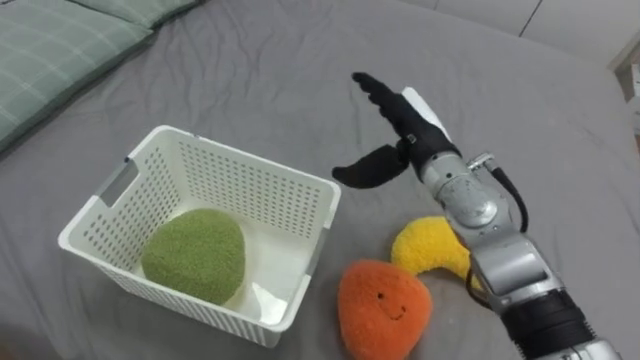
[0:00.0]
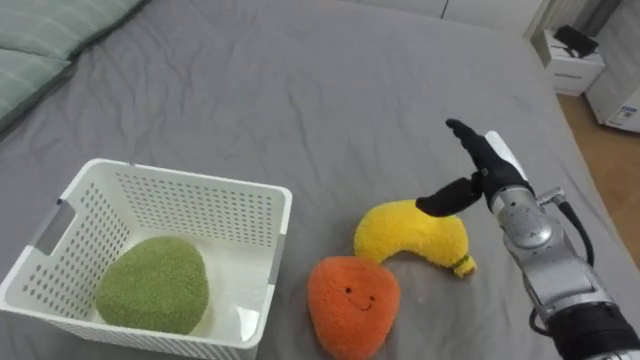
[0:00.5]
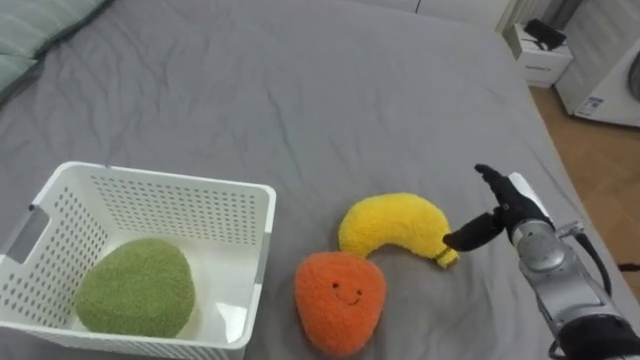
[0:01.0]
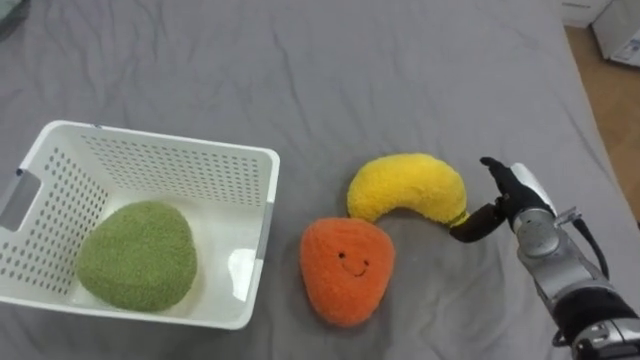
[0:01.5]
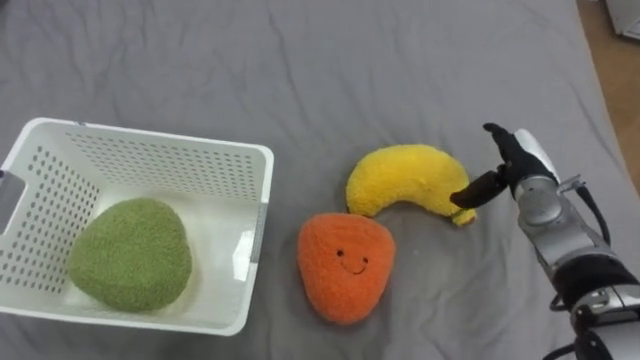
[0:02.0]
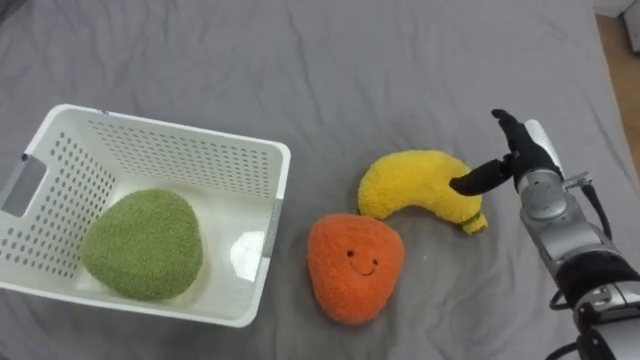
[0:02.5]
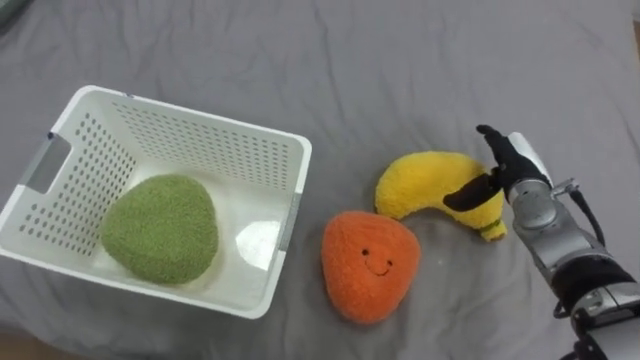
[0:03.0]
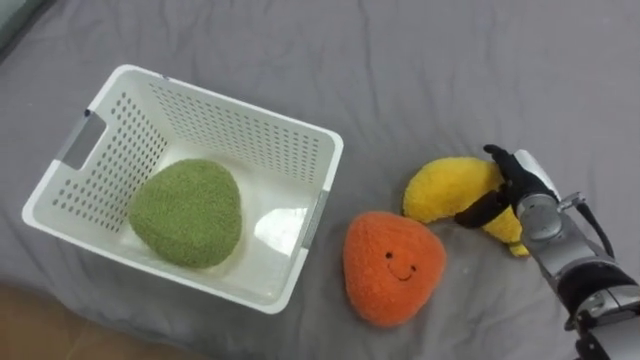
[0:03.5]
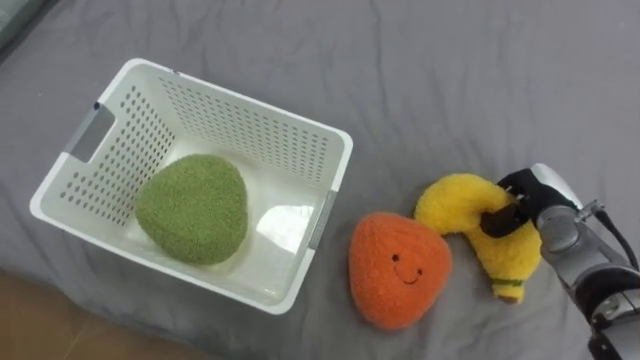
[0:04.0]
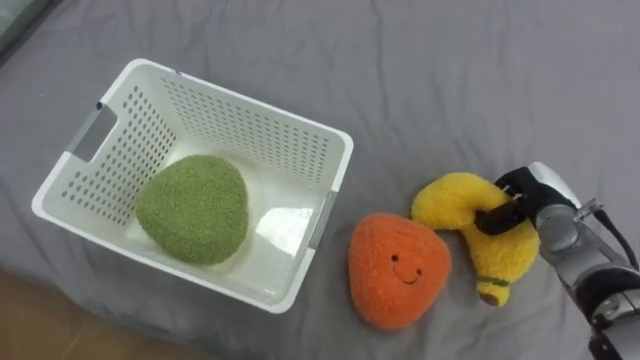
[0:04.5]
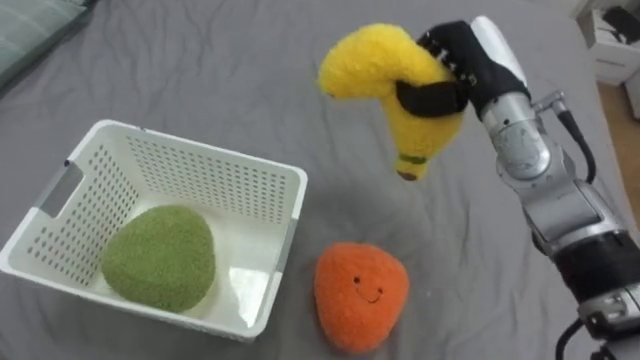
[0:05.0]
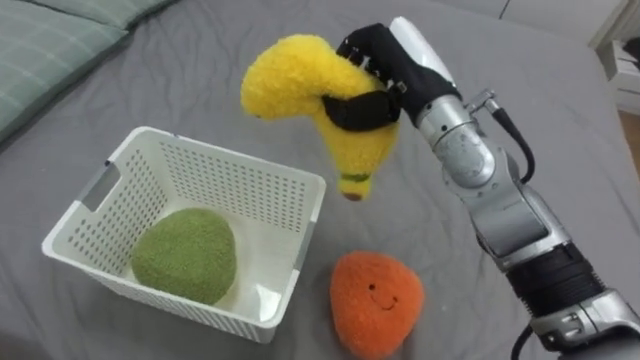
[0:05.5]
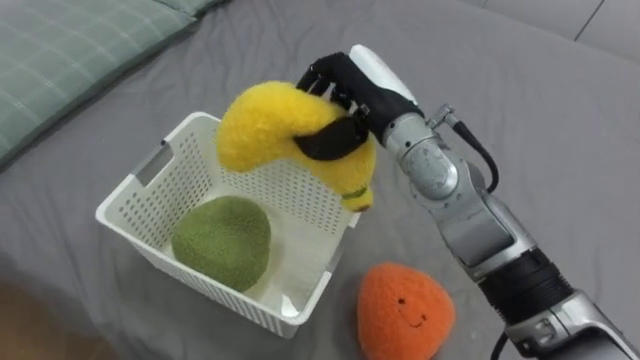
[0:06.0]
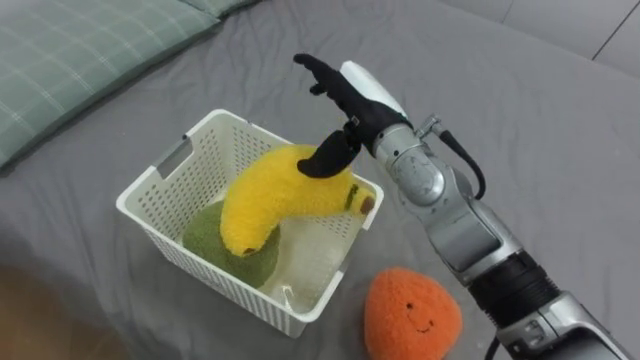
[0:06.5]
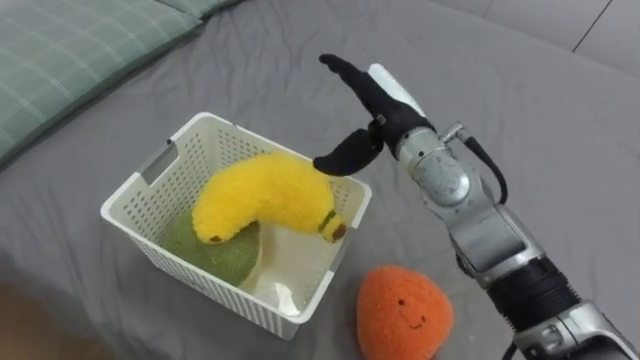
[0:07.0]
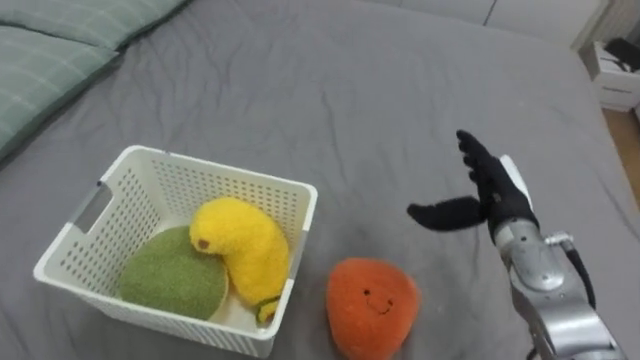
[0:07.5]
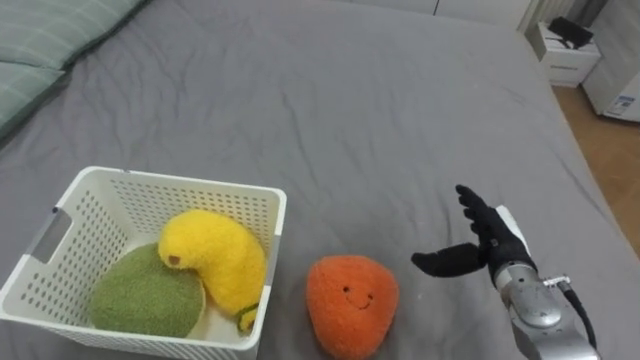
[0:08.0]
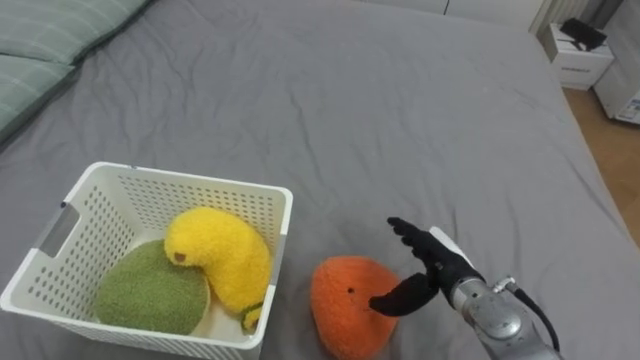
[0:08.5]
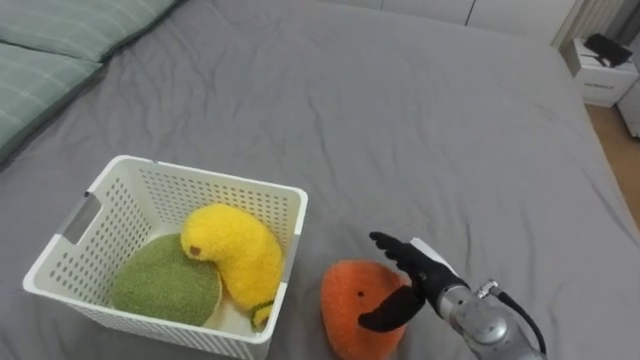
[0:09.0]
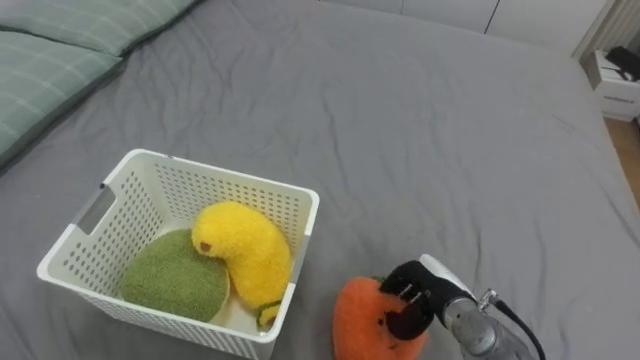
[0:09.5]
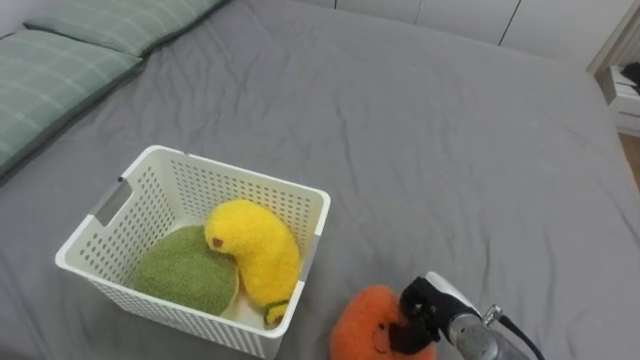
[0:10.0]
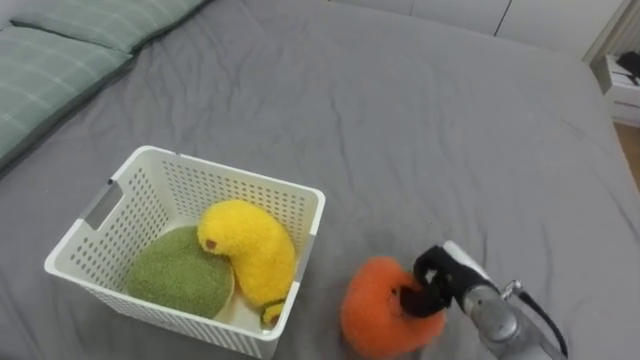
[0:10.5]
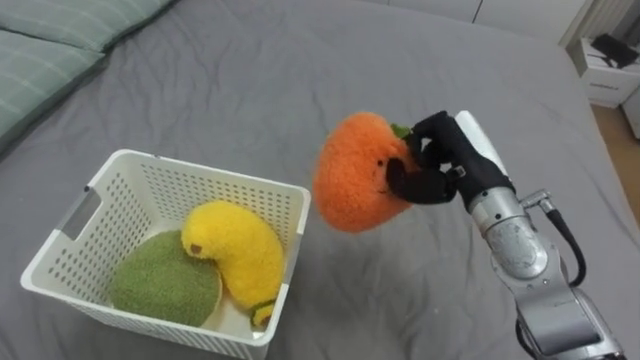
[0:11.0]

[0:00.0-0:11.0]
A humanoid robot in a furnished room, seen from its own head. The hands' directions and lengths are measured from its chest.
Task of the whole recording: Put the toys on the bed into the basket on the left.
0:00.0 to 0:02.0: The right hand shifts approximately 20 cm to the right and downward.
0:03.5 to 0:05.5: The right hand goes roughly 25 cm upward and to the left, and closes.
0:05.5 to 0:07.5: The right hand heads downward, to the right and backward, covering about 20 cm, and opens up.
0:07.5 to 0:09.0: The right hand heads downward, to the left and backward, covering roughly 15 cm.
0:09.0 to 0:11.0: The right hand is displaced upward and forward by some 15 cm, and closes.

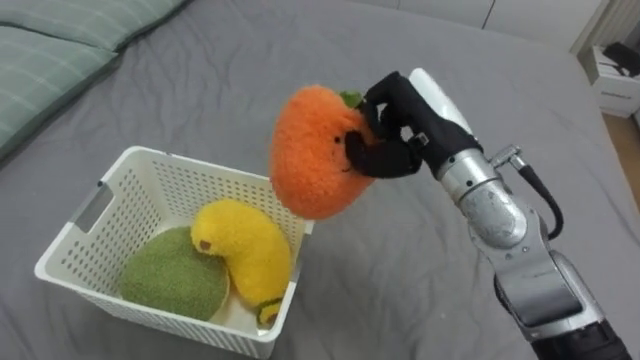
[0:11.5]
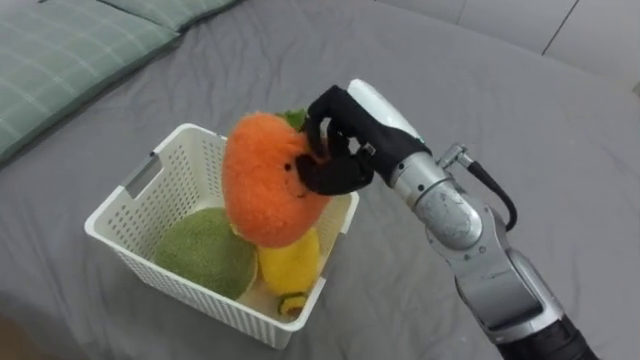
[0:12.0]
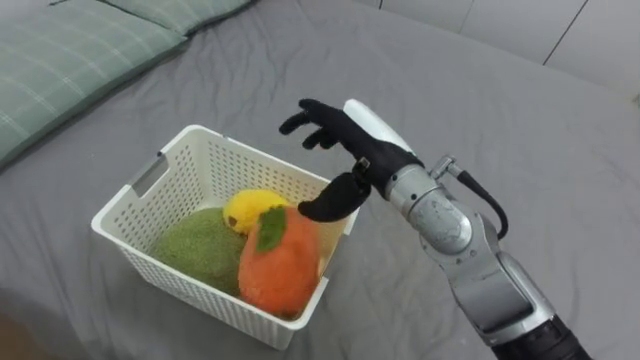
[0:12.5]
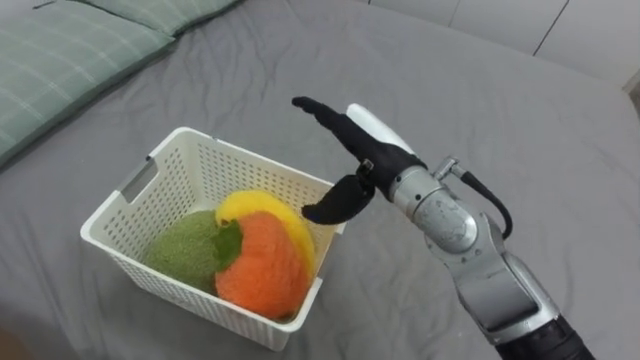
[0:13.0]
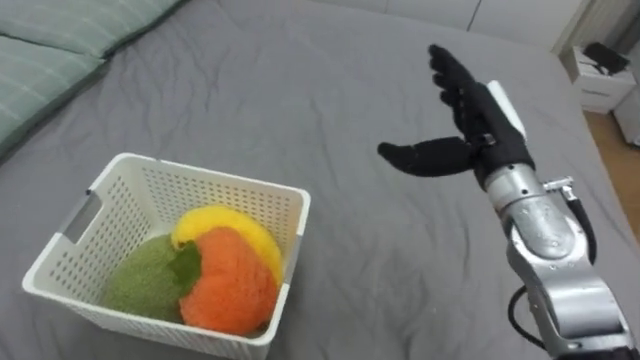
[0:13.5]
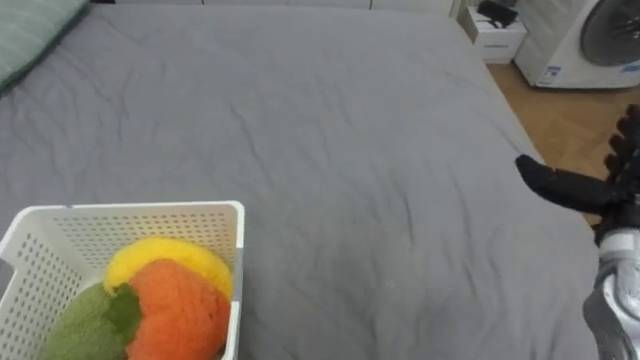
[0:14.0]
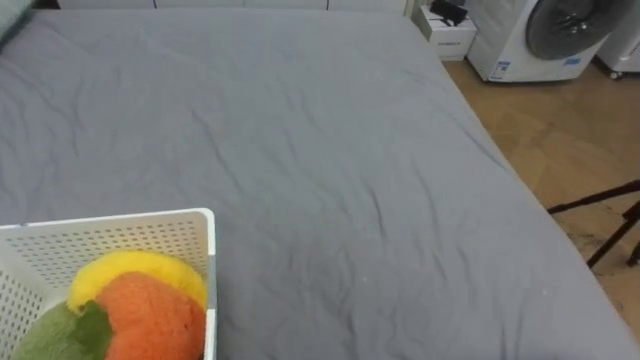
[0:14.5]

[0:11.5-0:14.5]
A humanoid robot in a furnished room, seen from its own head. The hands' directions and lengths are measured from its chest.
Task of the whole recording: Put the toys on the bed into the basket on the left.
0:11.5 to 0:13.0: The right hand heads to the left, covering some 5 cm, and opens its fingers.

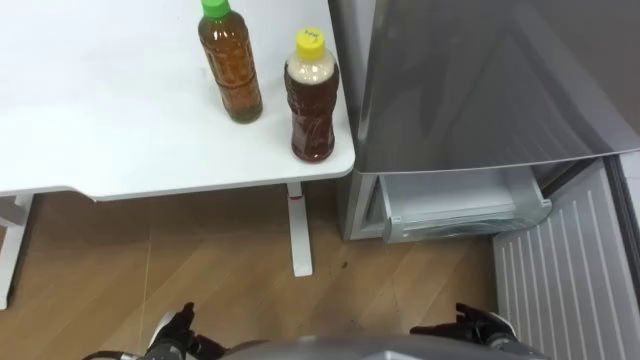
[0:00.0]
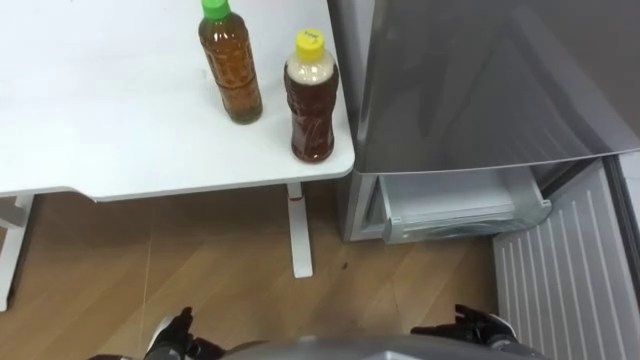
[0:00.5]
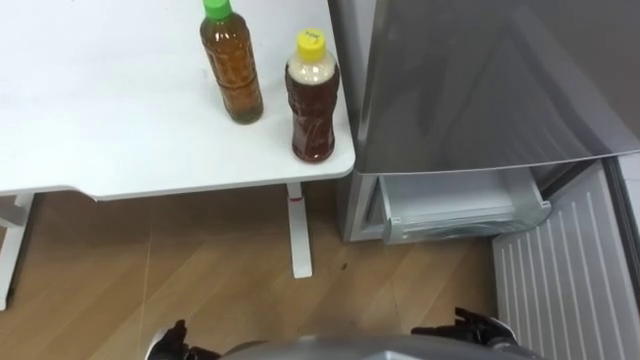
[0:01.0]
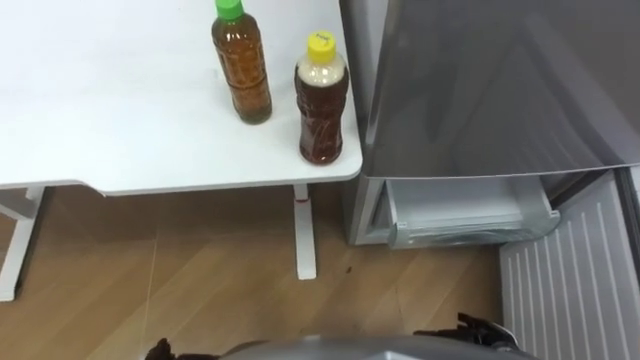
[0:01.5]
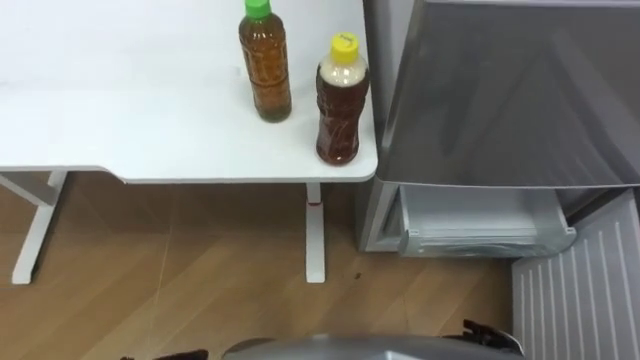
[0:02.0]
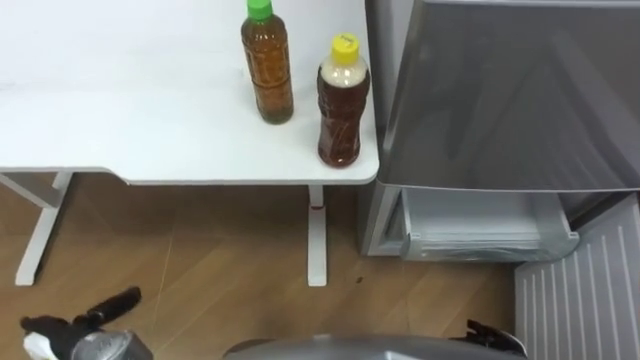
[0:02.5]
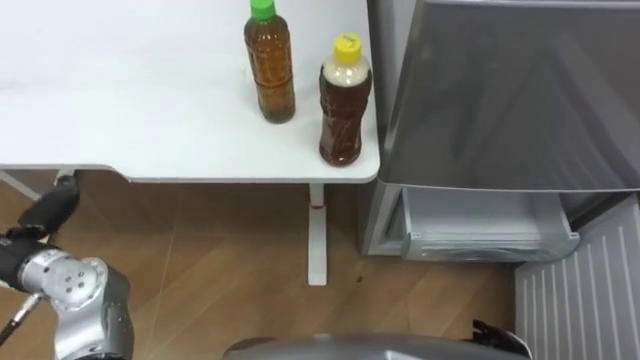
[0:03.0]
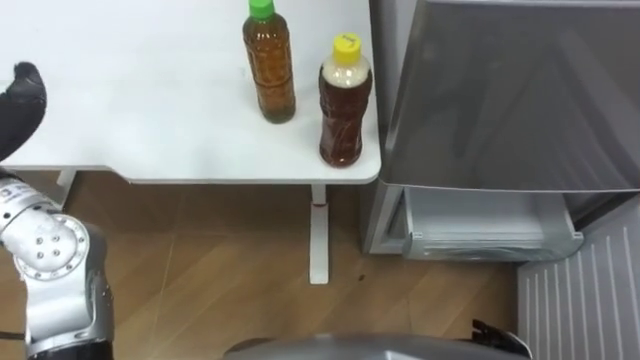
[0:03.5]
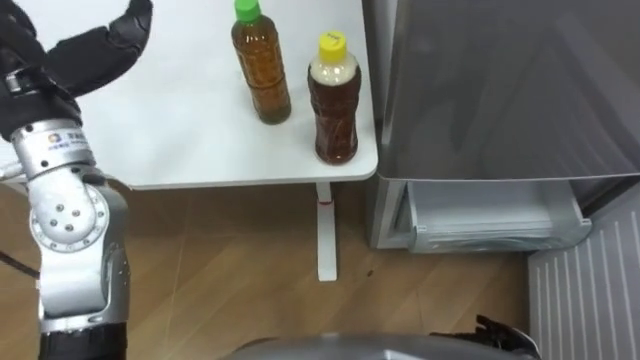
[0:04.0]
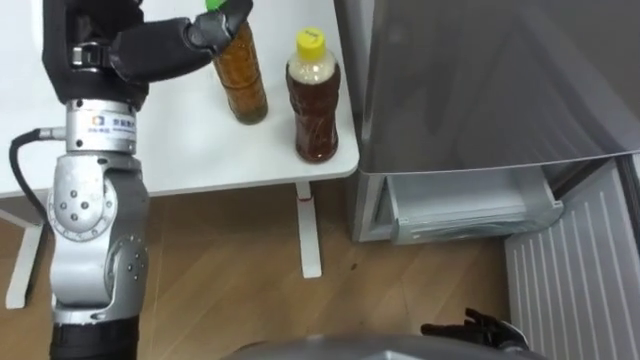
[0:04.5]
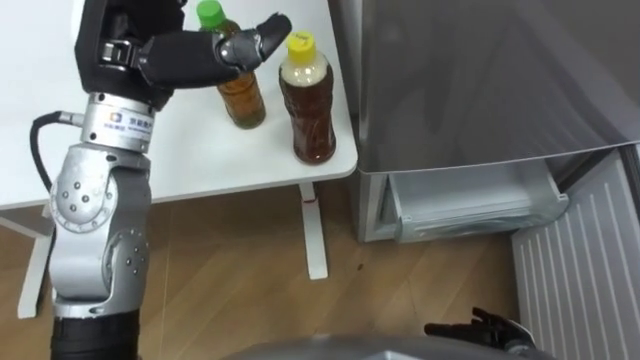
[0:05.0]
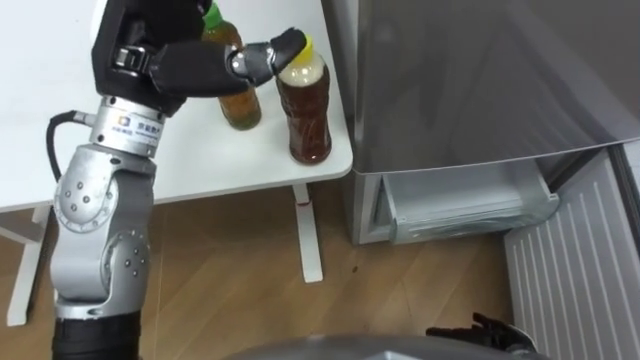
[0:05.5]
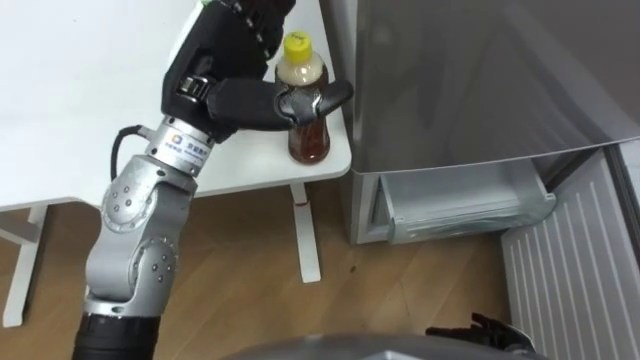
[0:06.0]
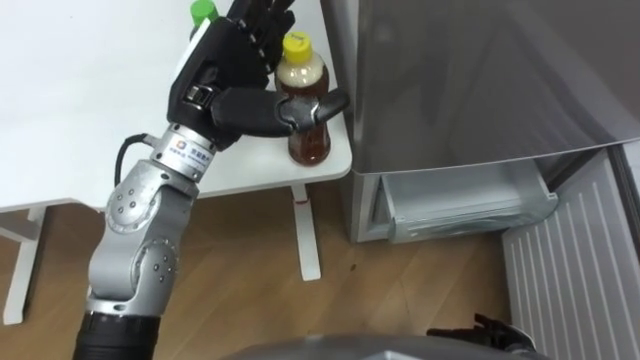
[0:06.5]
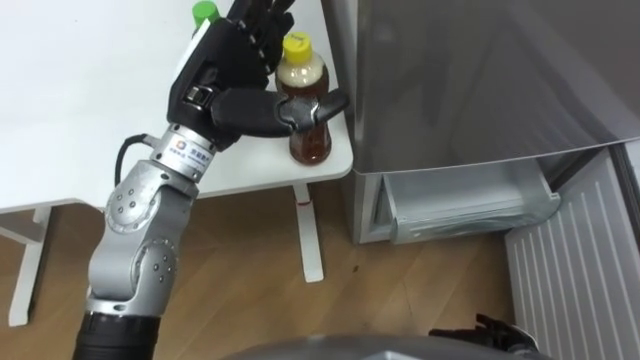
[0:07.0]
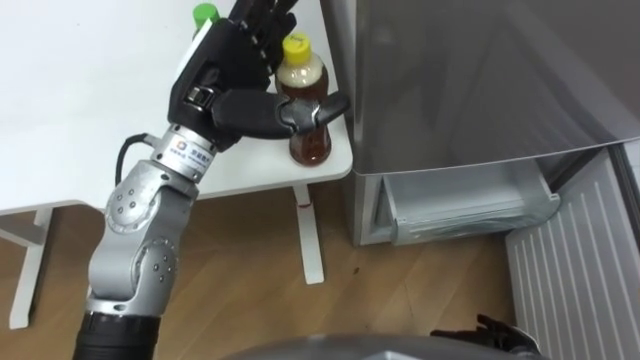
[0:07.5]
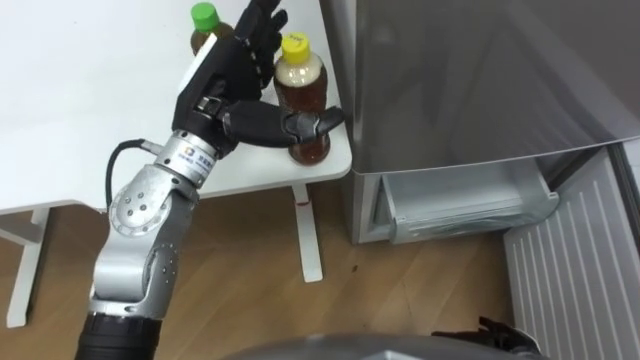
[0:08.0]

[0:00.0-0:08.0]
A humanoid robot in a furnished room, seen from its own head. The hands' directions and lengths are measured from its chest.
Task of the whole recording: Place the drink on the table on the bottom shelf of the refrigerator, then close the drawer and the refrigerator door.
0:04.0 to 0:06.0: The left hand is displaced to the right by approximately 15 cm.
0:06.0 to 0:08.0: The hands stay close to where they were, moving slightly.
